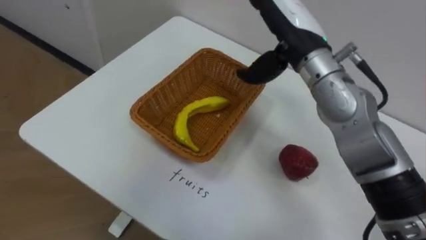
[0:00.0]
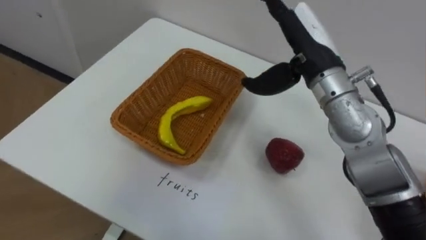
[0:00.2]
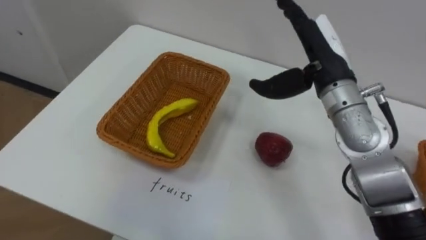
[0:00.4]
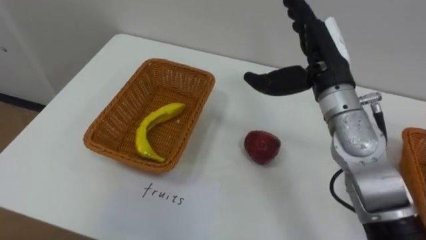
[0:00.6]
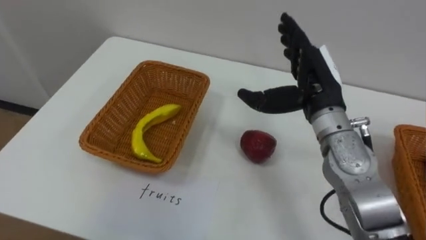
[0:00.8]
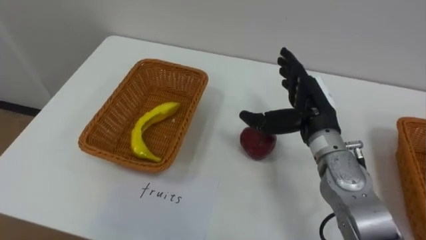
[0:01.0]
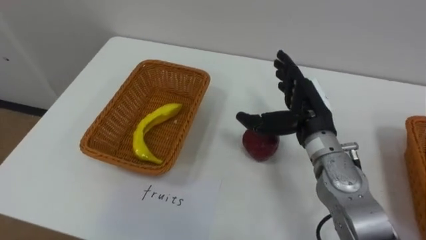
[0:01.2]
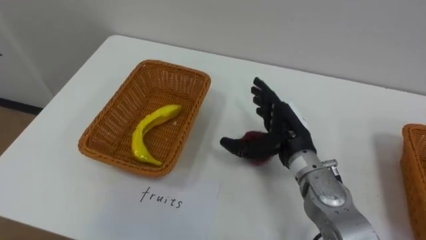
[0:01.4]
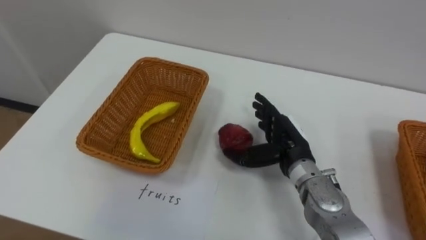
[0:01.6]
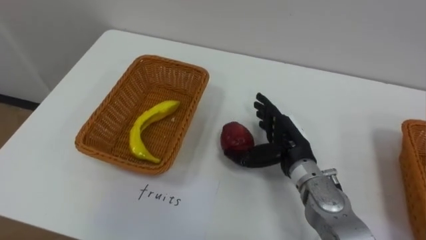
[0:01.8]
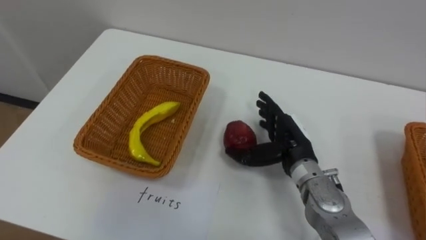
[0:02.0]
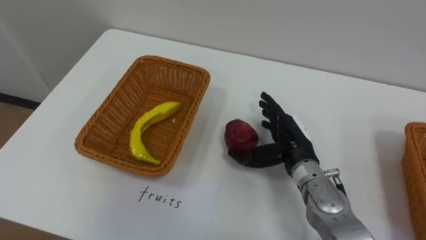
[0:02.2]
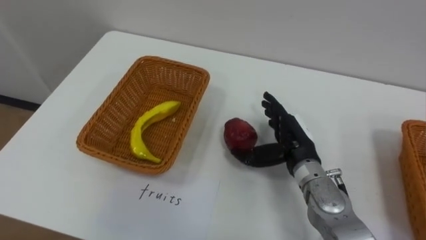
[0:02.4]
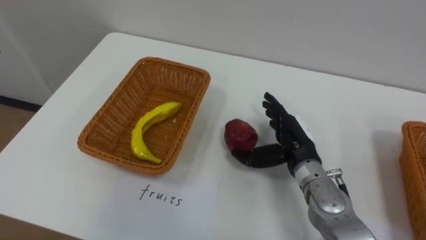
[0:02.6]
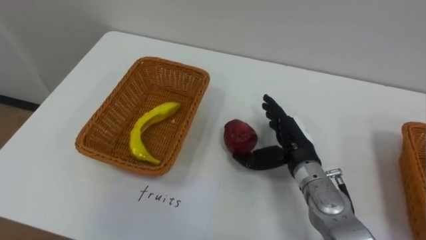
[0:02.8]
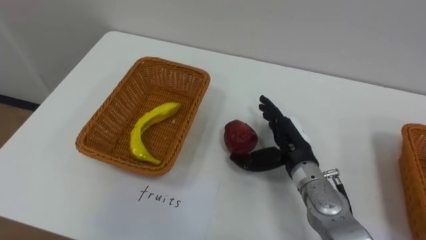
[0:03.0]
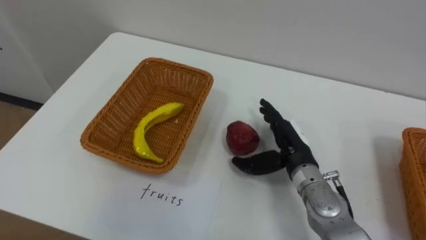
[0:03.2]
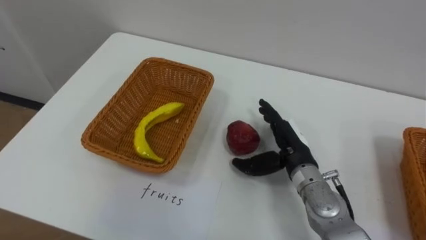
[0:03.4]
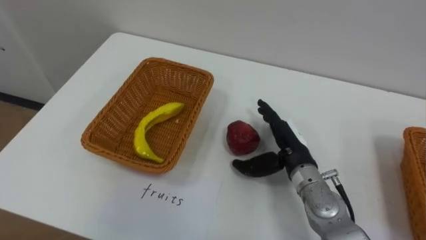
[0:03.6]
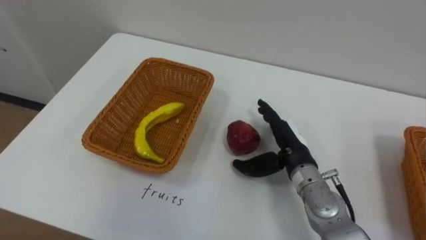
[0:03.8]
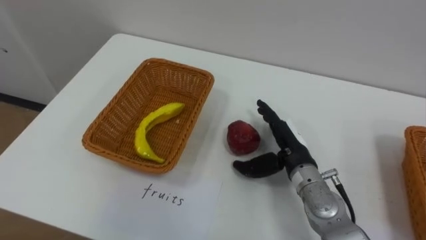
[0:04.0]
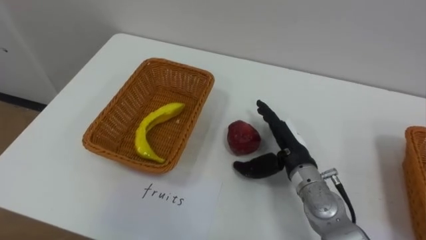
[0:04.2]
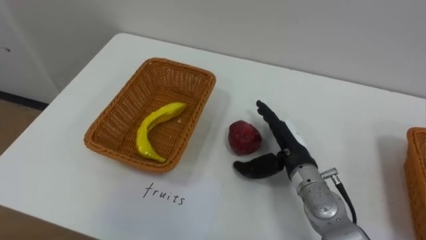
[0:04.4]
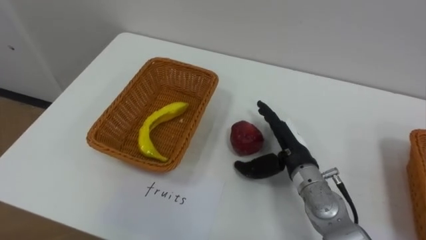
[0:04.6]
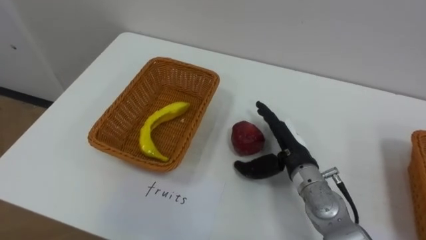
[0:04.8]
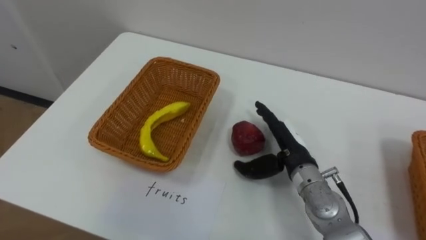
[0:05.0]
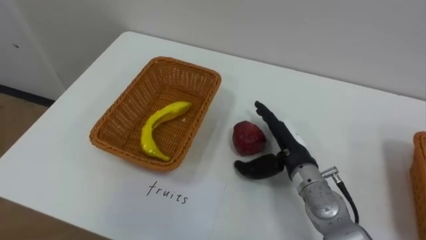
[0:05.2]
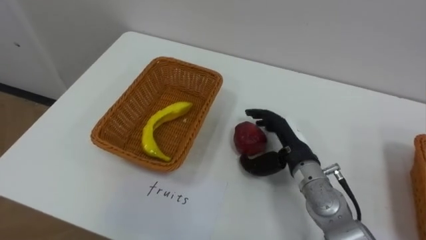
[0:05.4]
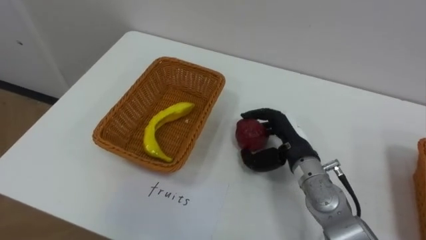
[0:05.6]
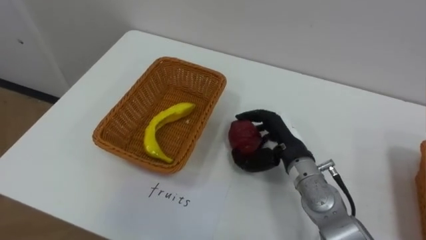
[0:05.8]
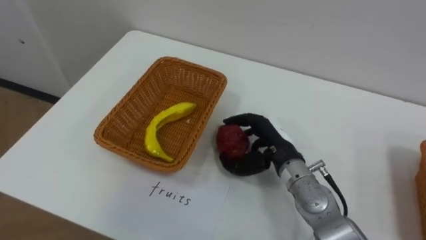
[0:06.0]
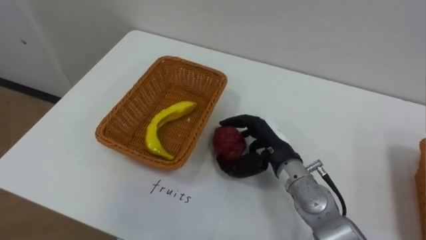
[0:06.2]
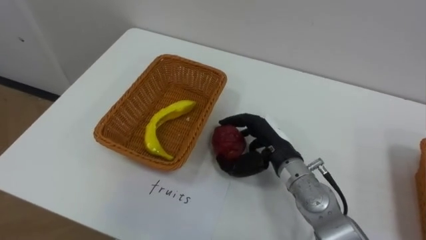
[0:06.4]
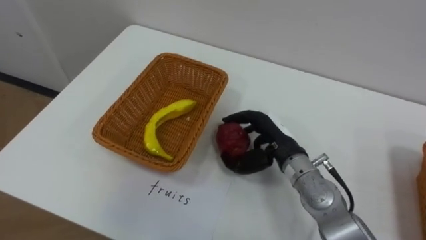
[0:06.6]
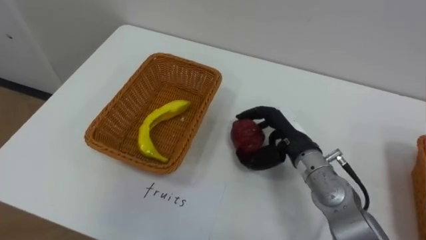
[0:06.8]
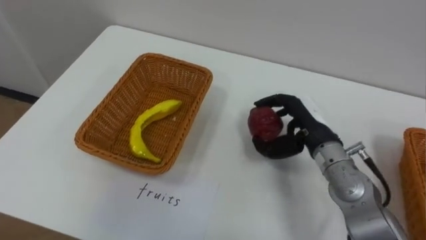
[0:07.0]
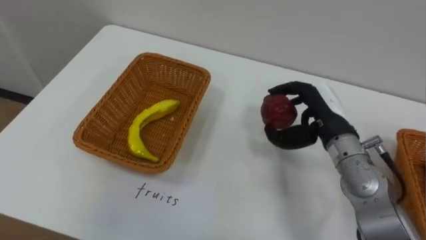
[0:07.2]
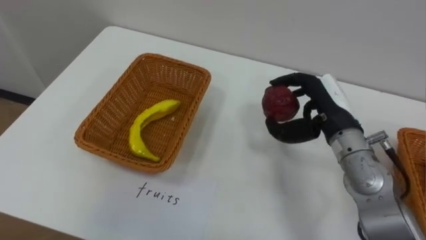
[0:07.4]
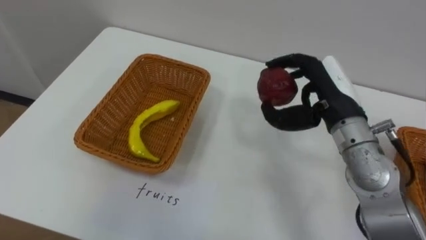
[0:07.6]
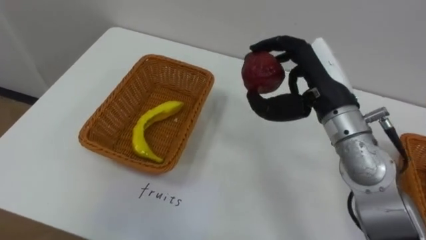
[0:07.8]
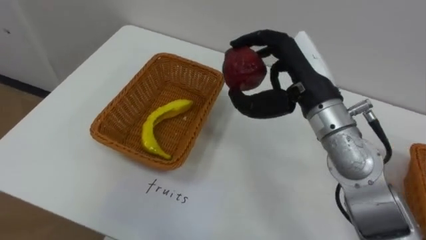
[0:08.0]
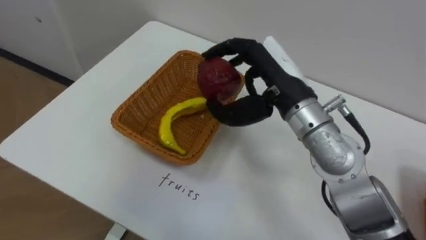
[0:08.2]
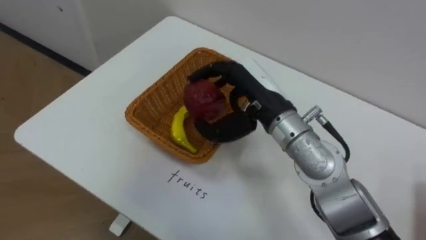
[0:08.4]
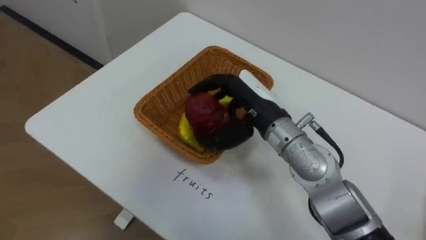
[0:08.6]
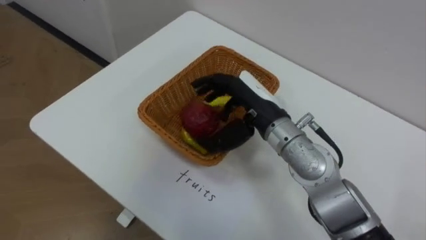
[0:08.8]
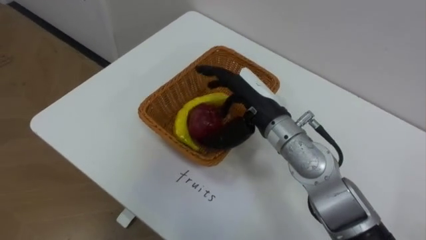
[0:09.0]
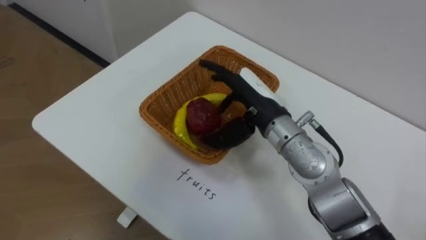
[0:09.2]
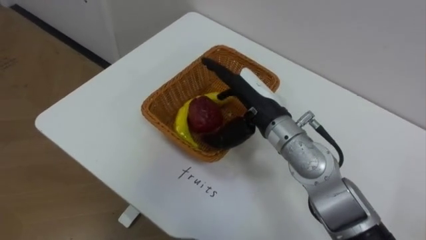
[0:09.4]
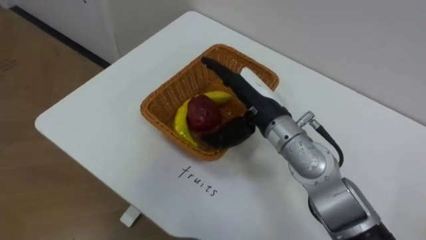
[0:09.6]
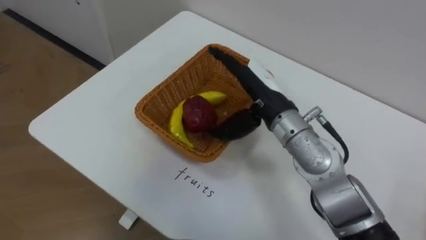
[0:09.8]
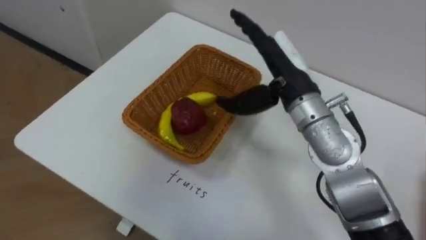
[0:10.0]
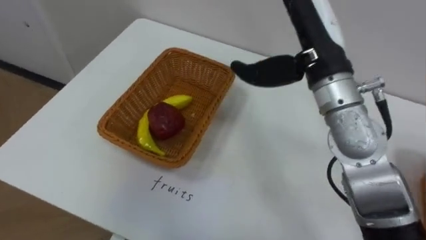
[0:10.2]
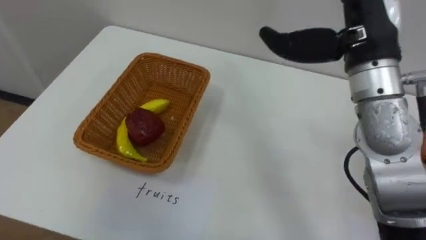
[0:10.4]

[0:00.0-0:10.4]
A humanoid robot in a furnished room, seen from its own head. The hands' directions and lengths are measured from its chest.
Task of the whole recording: Separate the items on the table and place them into the two baskets.
0:00.0 to 0:01.4: The right hand moves downward and backward, about 15 cm.
0:04.4 to 0:06.0: The right hand closes its fingers.
0:06.0 to 0:07.4: The right hand shifts some 10 cm to the right and upward.
0:07.4 to 0:09.0: The right hand travels to the left by roughly 15 cm.
0:09.0 to 0:10.4: The right hand heads upward and to the right, covering approximately 20 cm.

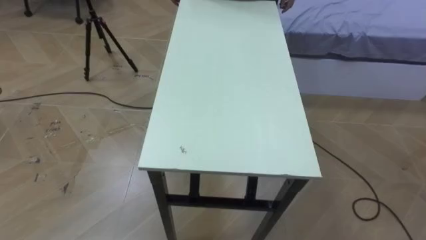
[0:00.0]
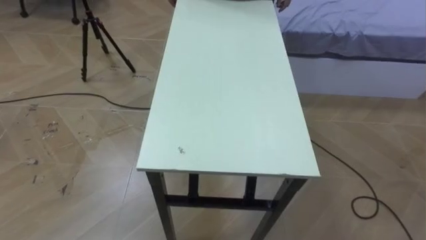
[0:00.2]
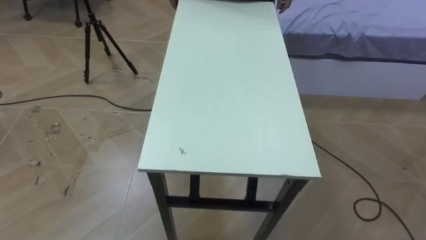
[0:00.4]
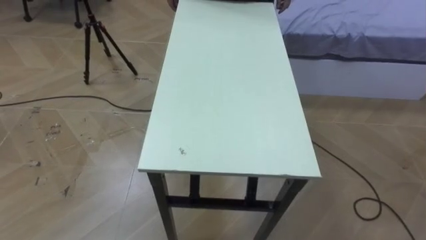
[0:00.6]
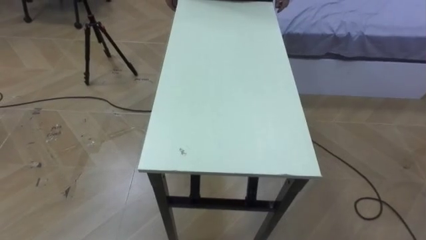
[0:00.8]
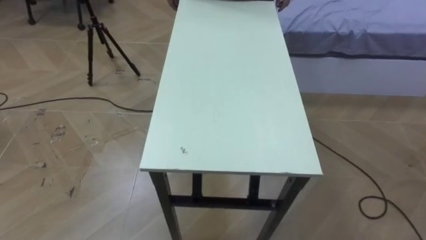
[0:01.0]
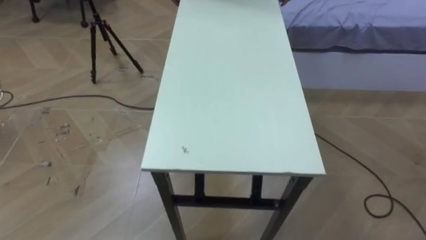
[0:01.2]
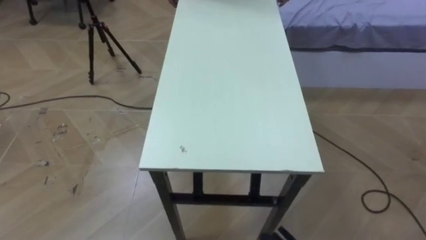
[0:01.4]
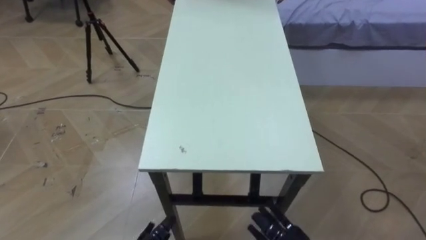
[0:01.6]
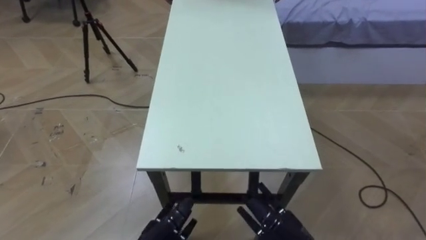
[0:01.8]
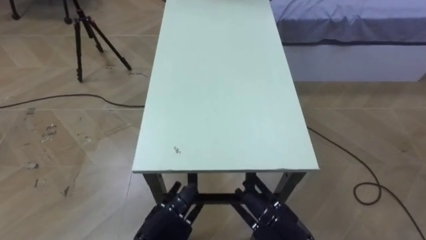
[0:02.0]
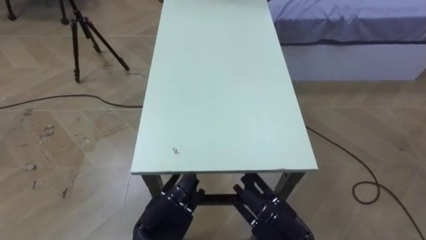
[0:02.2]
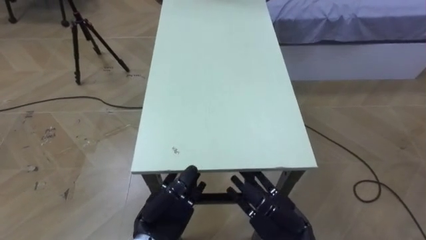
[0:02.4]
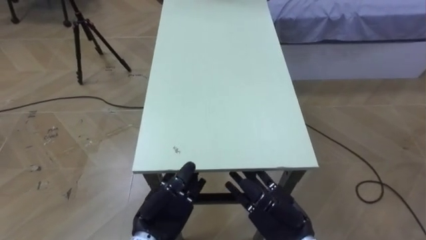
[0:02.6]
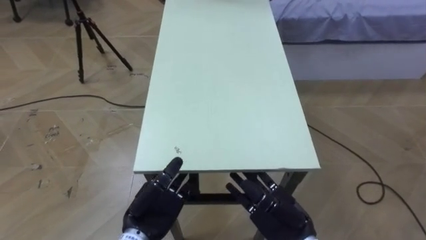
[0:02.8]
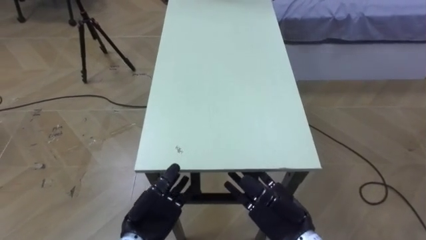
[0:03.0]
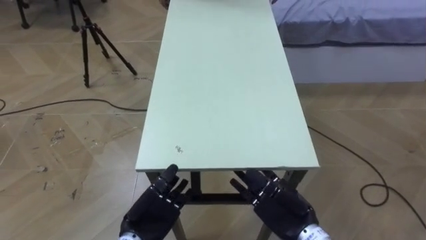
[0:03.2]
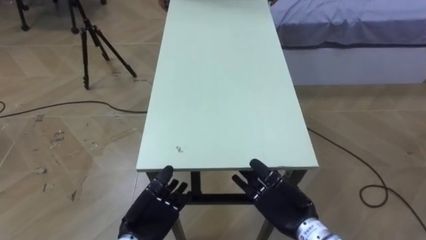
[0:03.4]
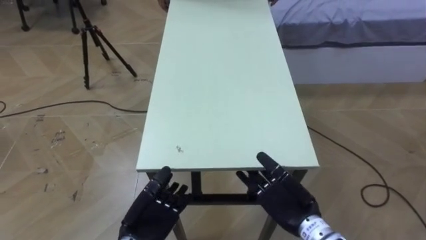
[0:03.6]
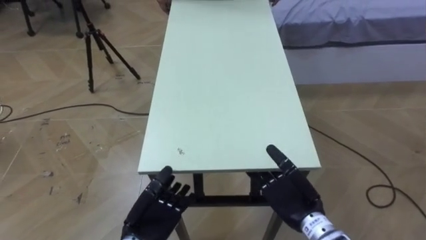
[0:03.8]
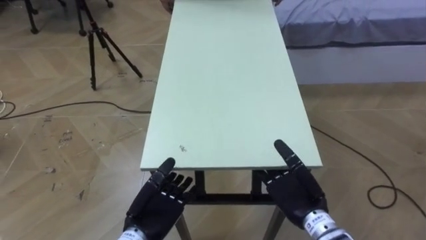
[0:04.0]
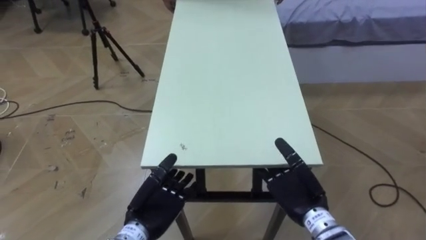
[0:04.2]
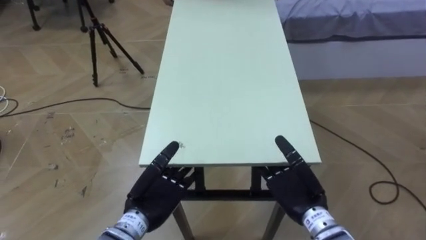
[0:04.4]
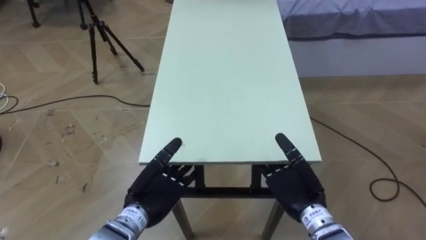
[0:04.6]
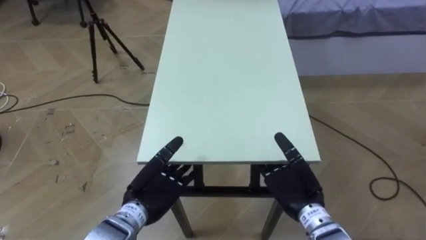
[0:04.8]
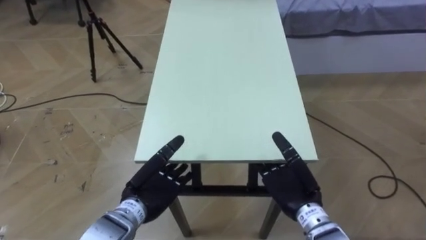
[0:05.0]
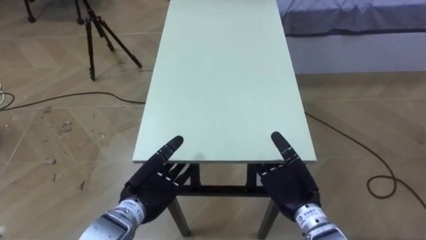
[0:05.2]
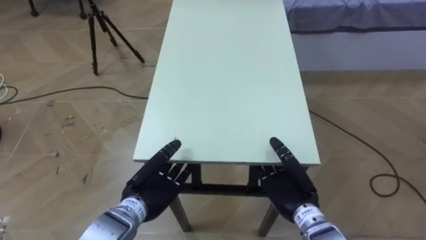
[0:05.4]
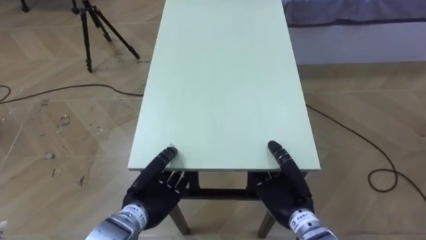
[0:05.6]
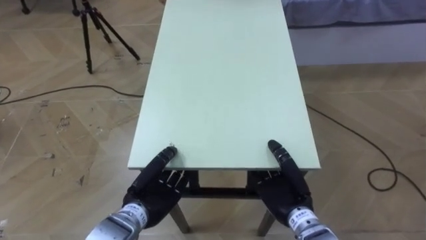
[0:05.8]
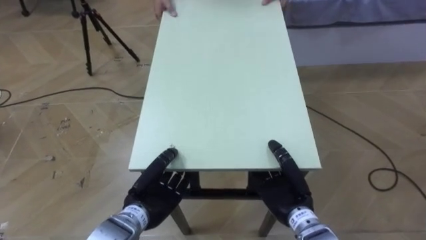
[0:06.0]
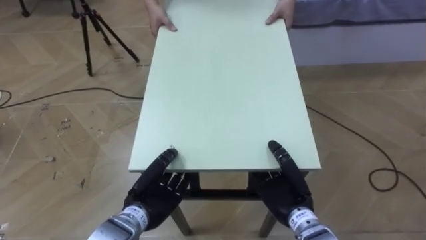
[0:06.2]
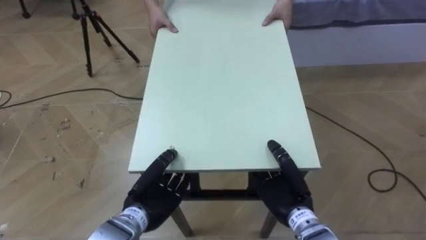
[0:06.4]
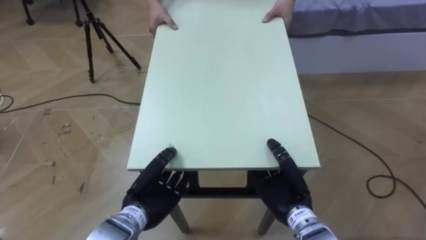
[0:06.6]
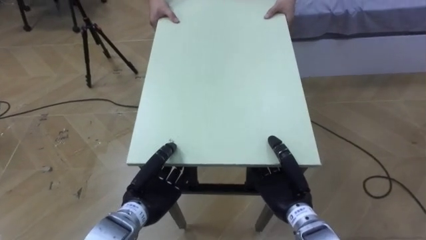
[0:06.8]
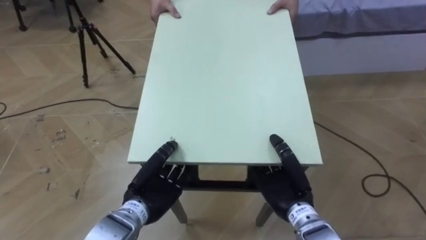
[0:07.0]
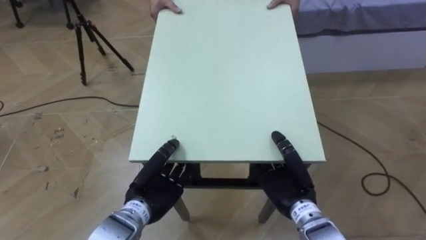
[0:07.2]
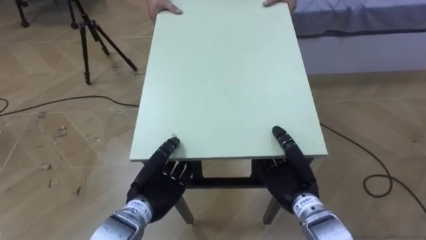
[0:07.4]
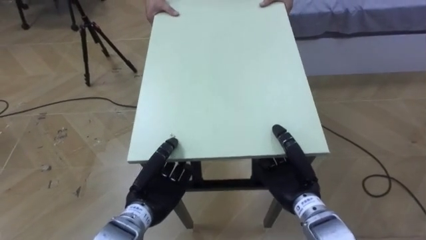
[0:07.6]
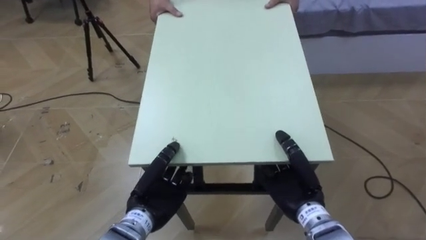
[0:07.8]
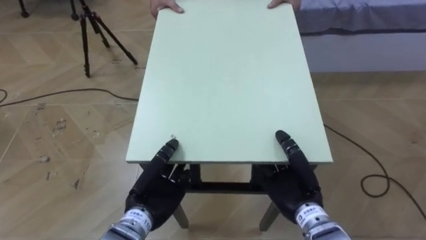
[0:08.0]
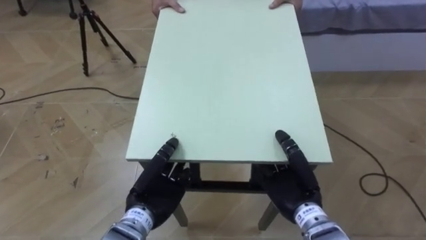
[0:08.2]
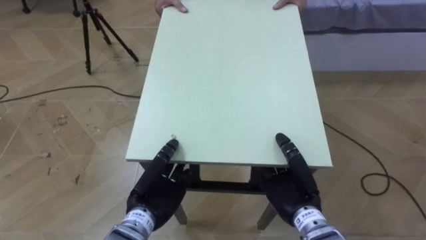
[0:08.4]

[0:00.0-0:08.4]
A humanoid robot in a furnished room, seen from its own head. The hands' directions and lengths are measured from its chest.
Task of the whole recording: Move the table to the back left with someone.
0:02.8 to 0:04.2: The right hand shifts by about 5 cm.
0:04.2 to 0:05.6: The left hand closes up, while the right hand closes.
0:05.6 to 0:07.0: Both hands stay put.
